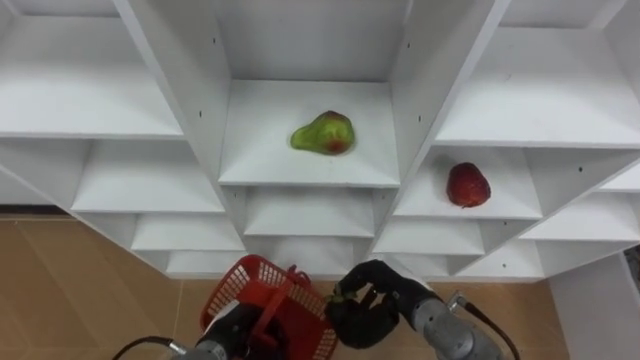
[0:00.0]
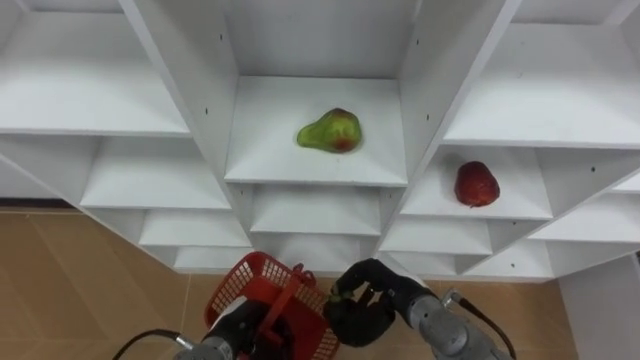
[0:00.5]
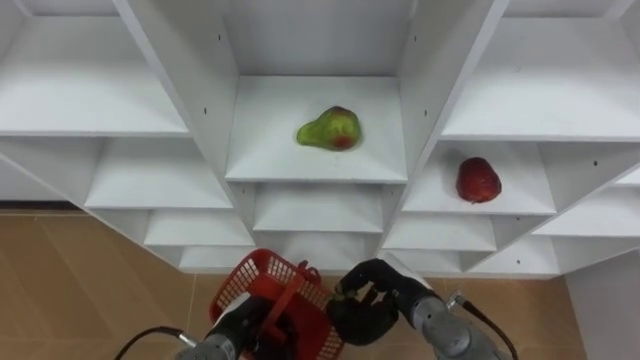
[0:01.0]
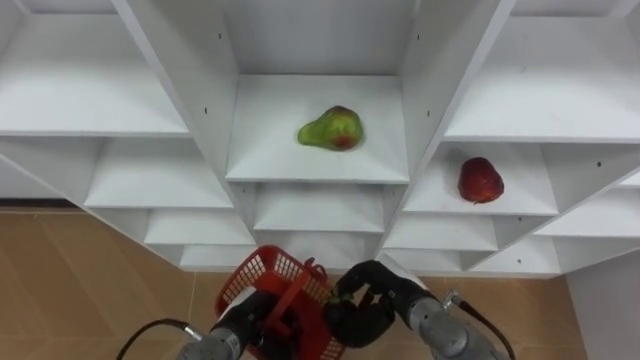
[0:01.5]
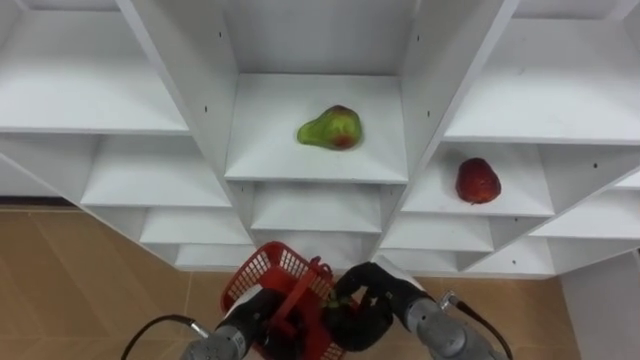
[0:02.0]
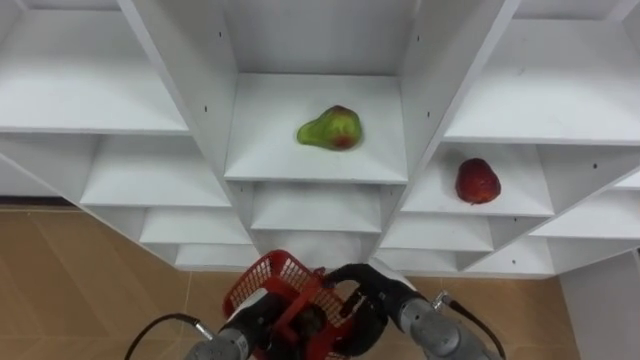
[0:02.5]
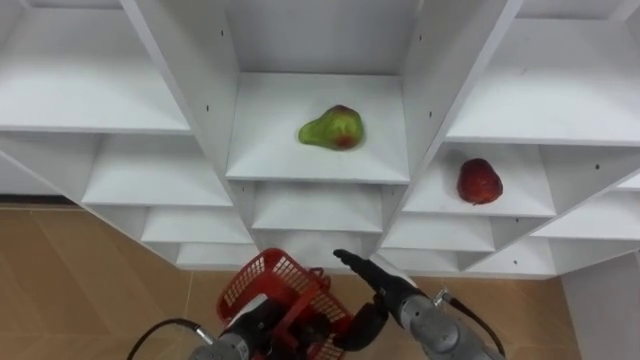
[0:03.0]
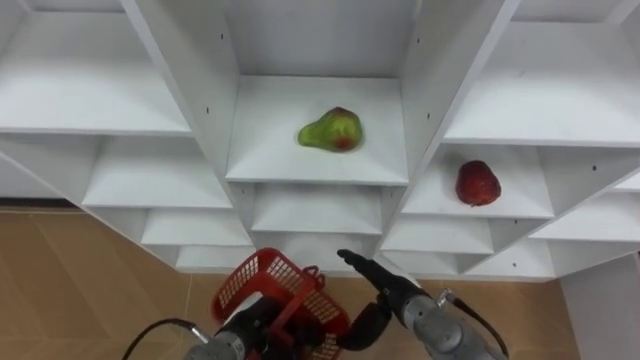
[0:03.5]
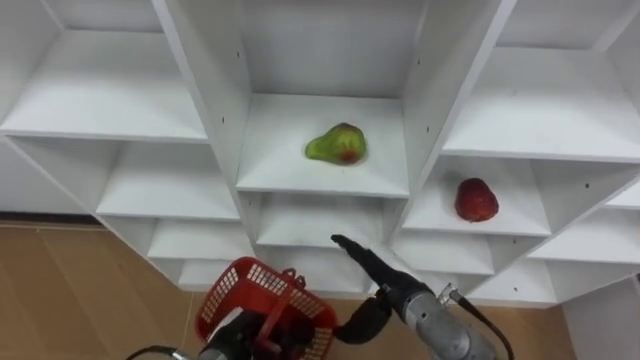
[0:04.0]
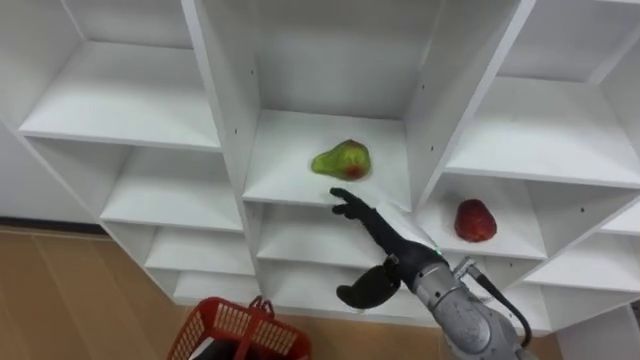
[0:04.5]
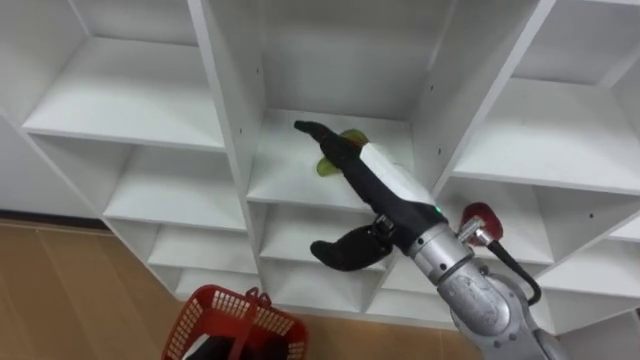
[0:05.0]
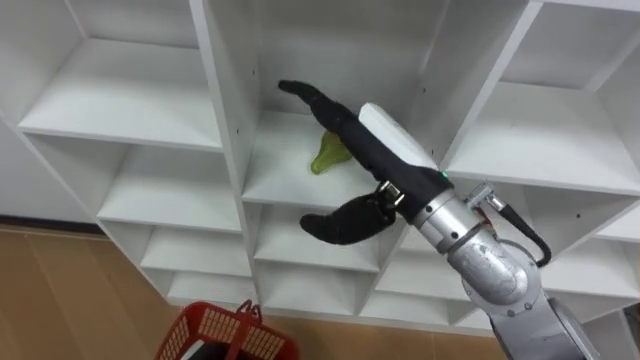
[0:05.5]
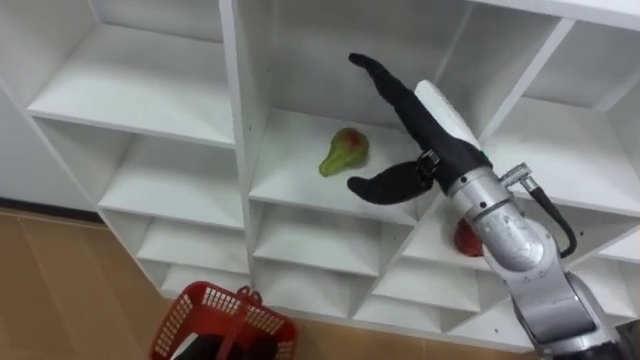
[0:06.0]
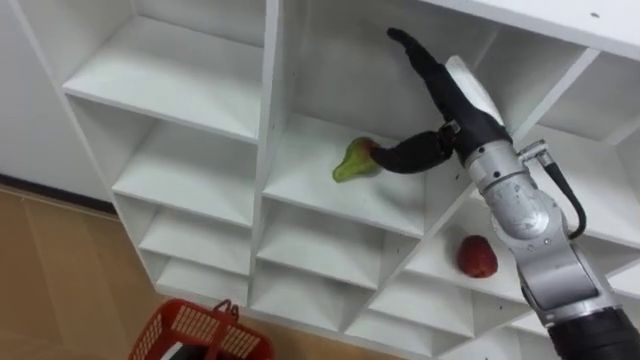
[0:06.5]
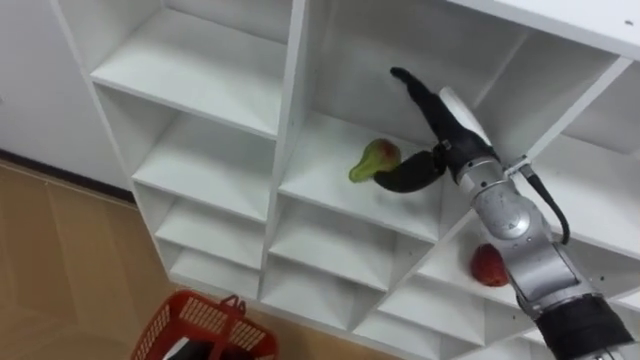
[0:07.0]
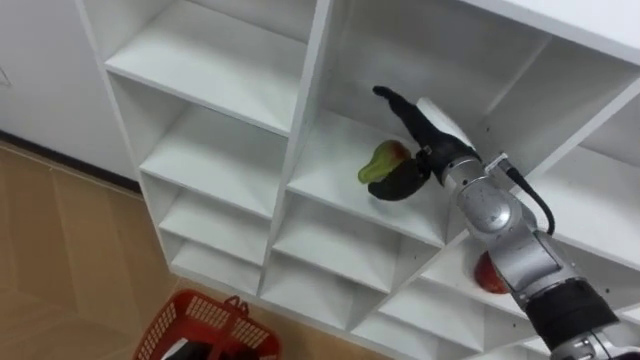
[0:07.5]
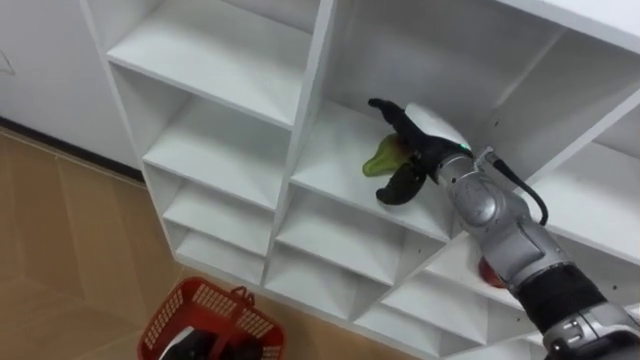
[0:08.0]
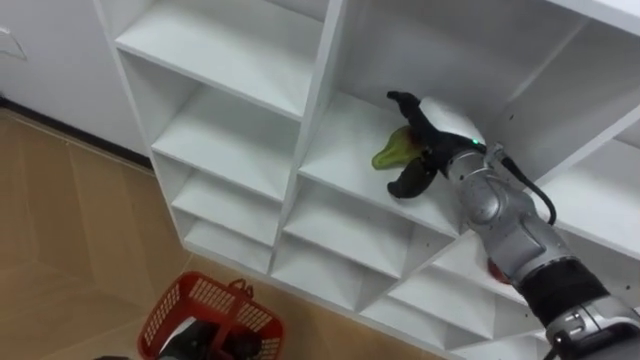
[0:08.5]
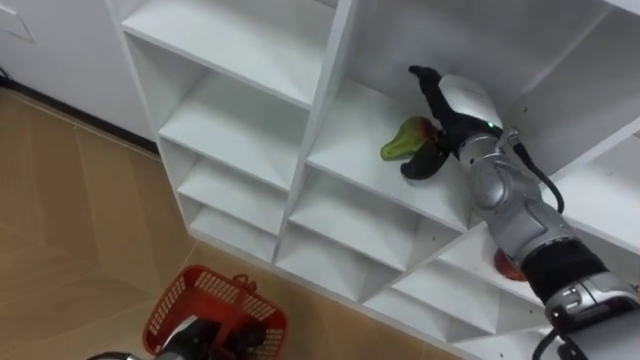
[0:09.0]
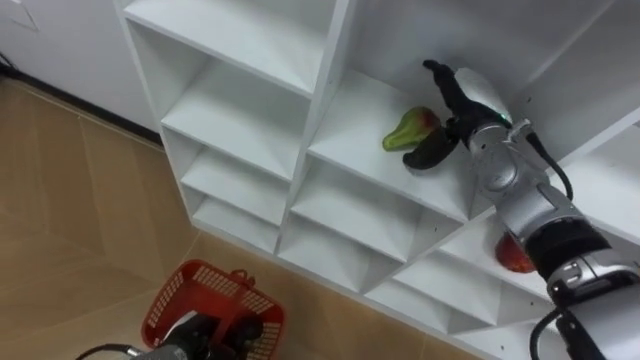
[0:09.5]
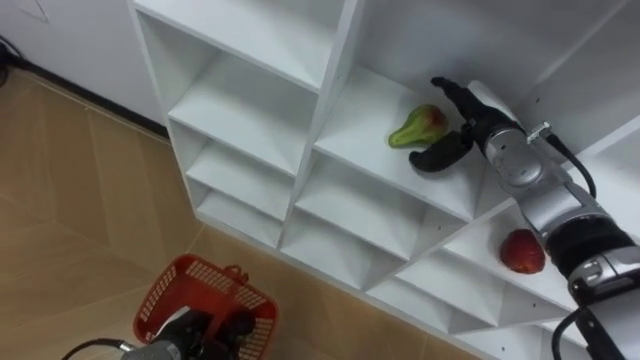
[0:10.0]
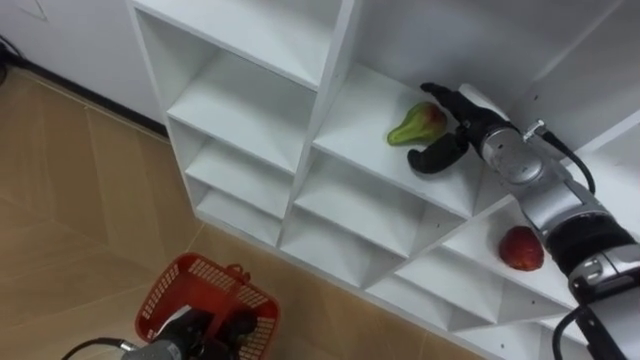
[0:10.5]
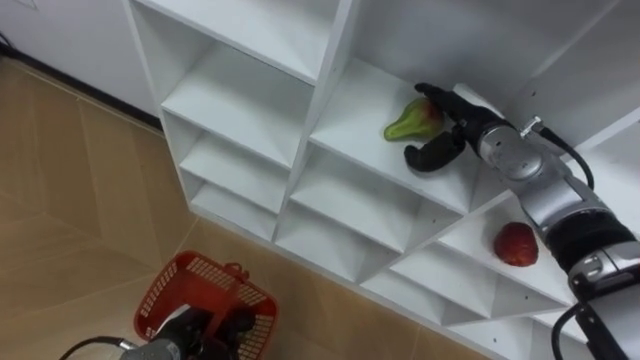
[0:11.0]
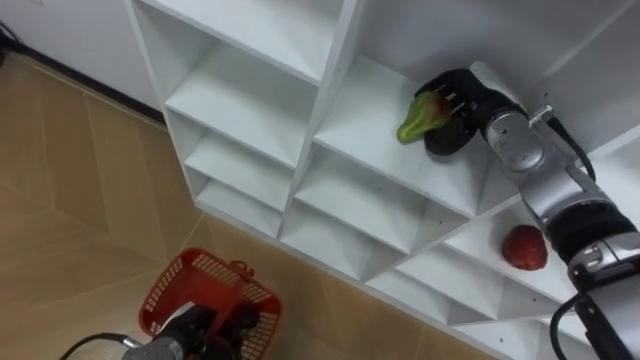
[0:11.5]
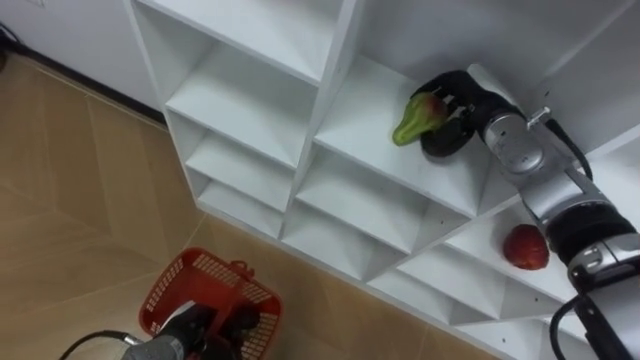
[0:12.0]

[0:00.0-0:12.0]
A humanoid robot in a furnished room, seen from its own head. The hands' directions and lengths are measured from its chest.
Task of the whole recording: Hold the basket and collect the fruits from 3 different cells of the closet into it.
0:00.0 to 0:02.0: The hands move only a little.
0:02.0 to 0:04.0: The right hand opens its fingers.
0:04.0 to 0:06.0: The right hand heads upward, covering some 20 cm.
0:06.0 to 0:08.0: The right hand is displaced downward and forward by some 10 cm.
0:08.0 to 0:10.0: The right hand shifts about 5 cm to the right.
0:10.0 to 0:12.0: The right hand closes its fingers.

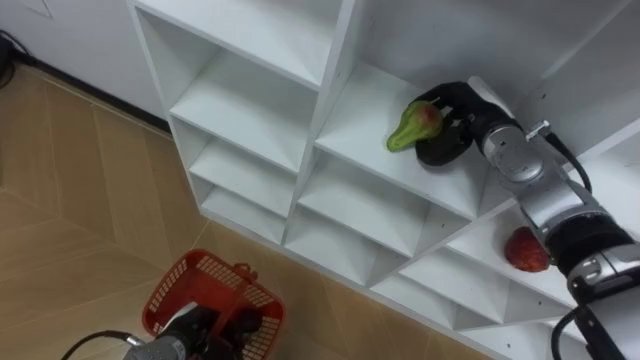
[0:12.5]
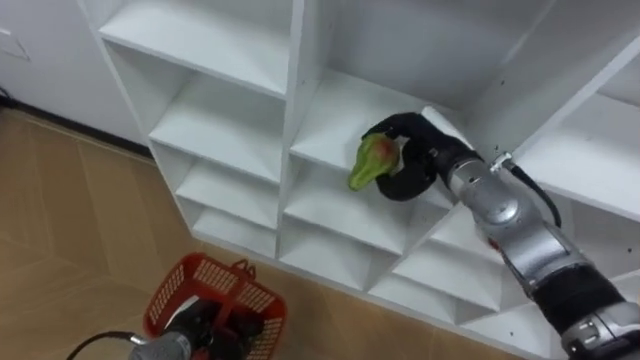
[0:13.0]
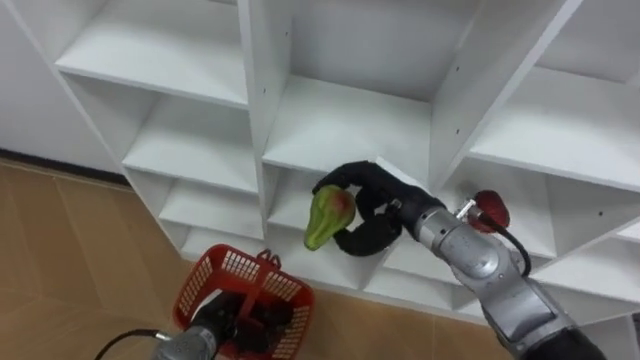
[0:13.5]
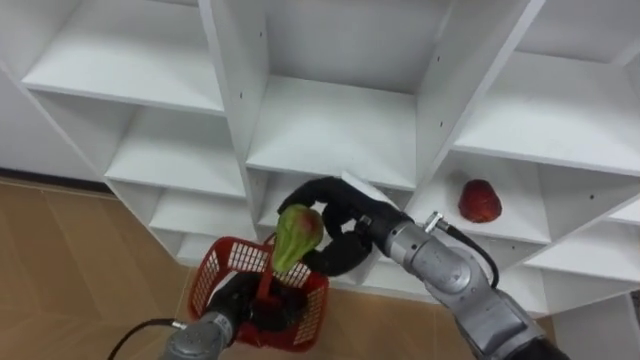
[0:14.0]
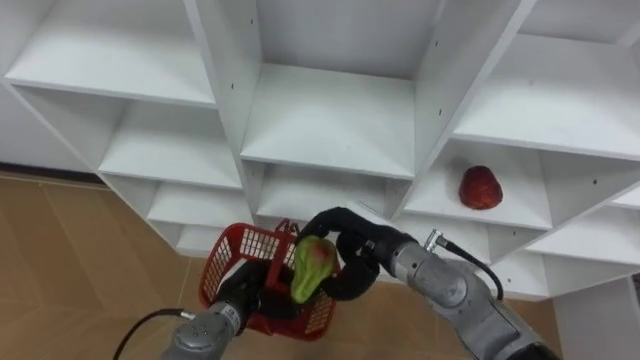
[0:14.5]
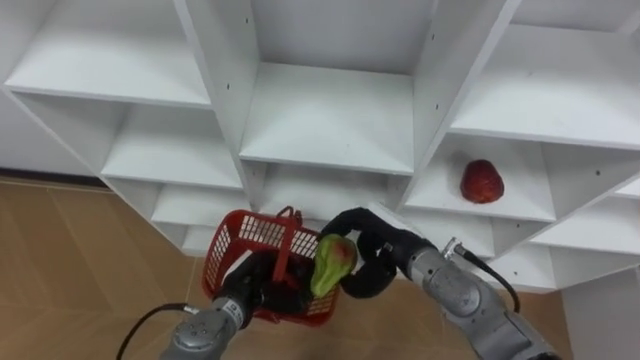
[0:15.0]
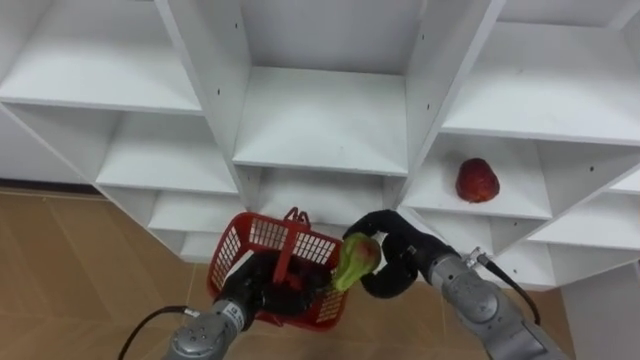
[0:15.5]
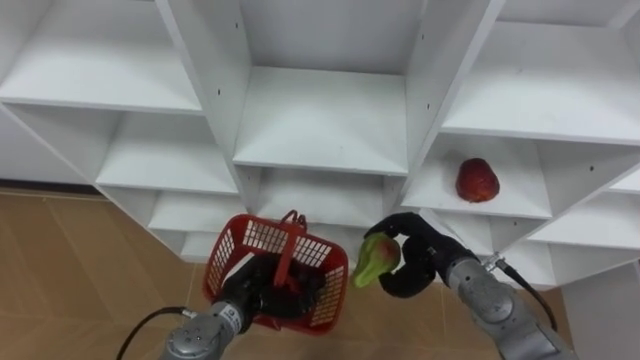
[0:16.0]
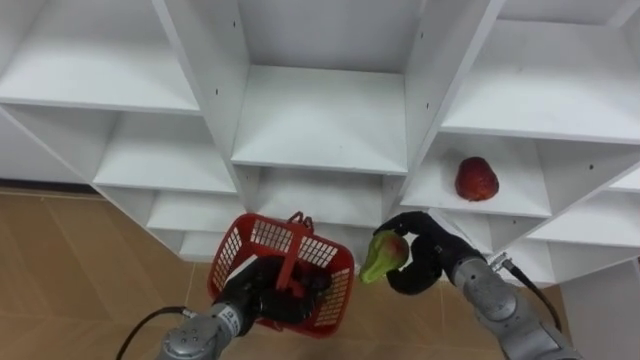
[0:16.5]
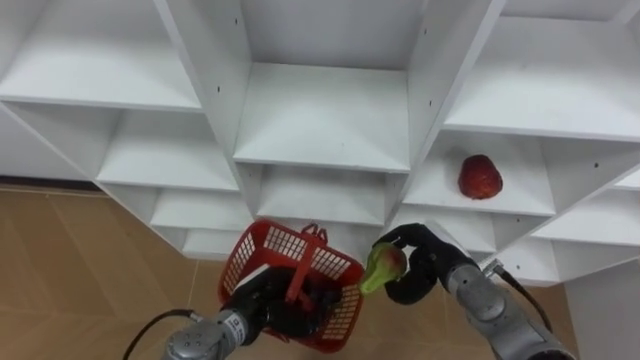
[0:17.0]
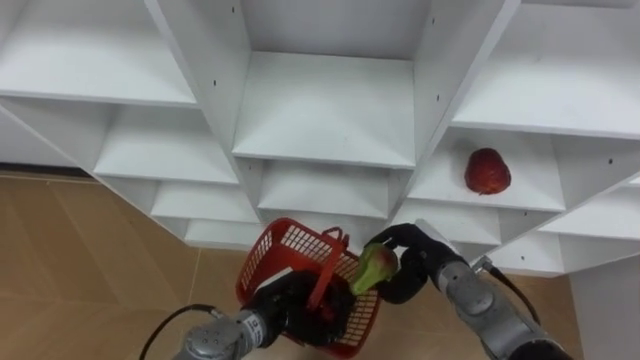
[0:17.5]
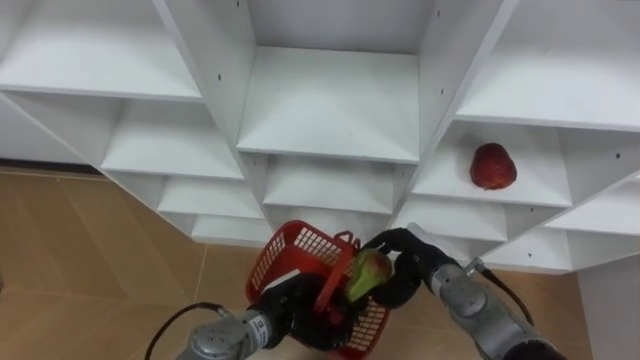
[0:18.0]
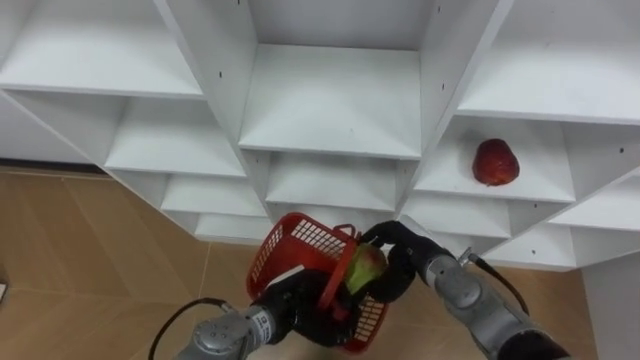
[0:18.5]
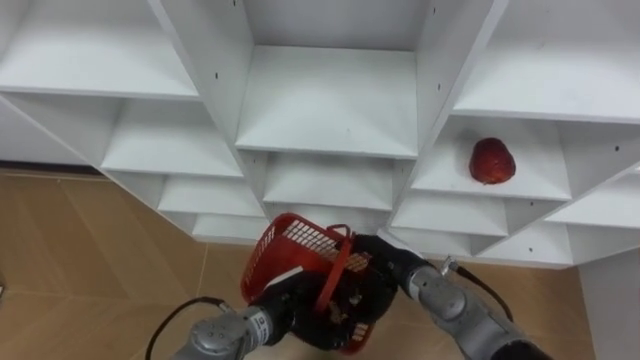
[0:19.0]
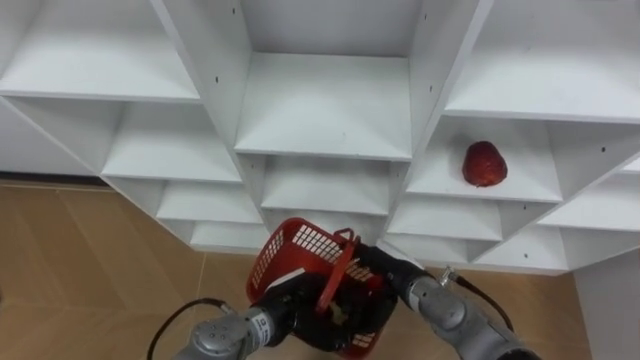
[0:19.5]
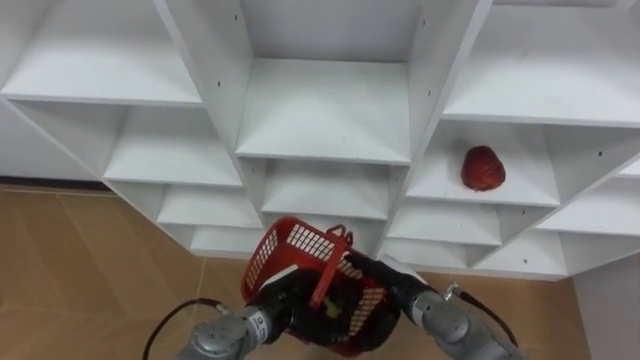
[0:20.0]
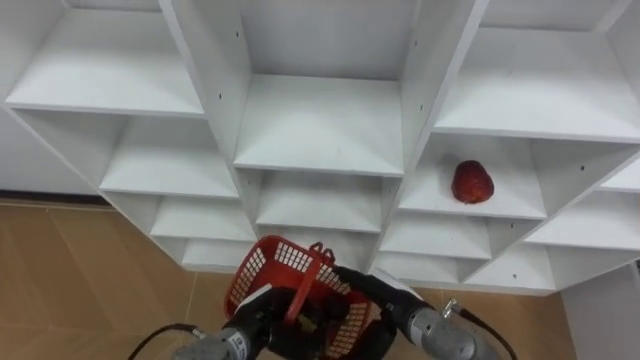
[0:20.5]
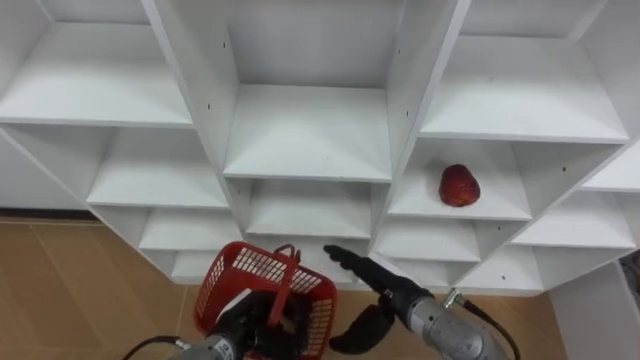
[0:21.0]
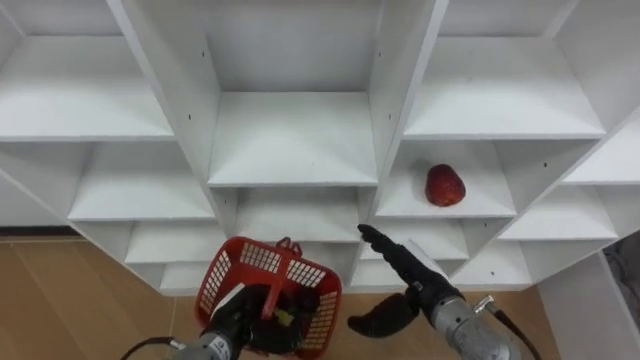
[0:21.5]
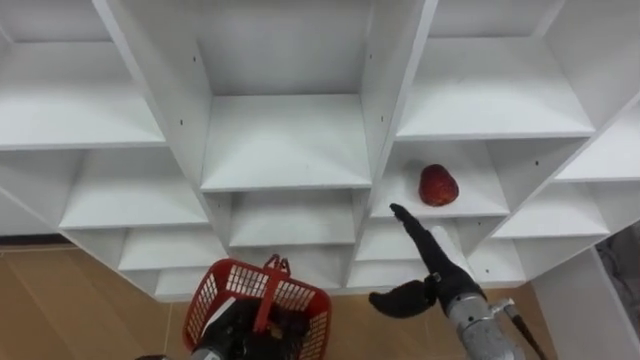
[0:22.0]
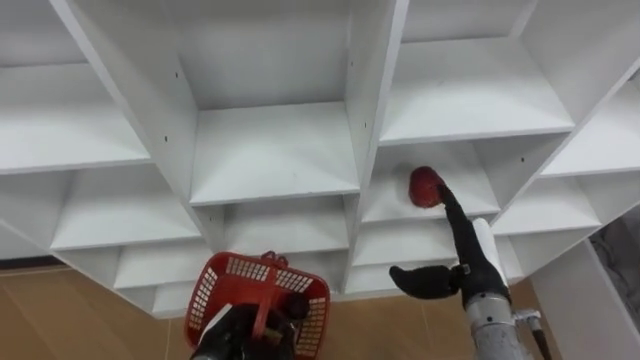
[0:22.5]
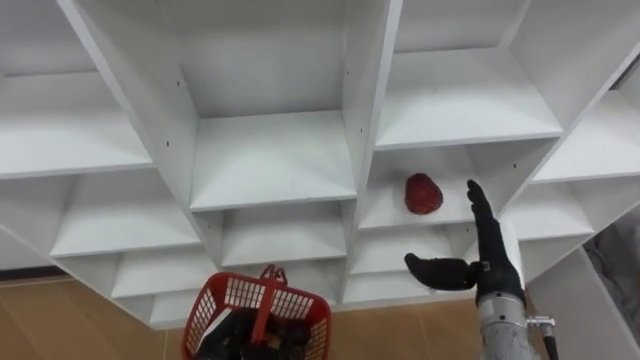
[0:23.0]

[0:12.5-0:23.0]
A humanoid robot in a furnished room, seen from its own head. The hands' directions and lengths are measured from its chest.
Task of the whole recording: Hold the basket and collect the fruits from 3 different cells of the closet into it.
0:12.5 to 0:14.5: The left hand is displaced to the right by approximately 10 cm. Meanwhile the right hand shifts some 20 cm to the left, backward and downward.
0:14.5 to 0:16.5: The right hand travels to the right by approximately 10 cm.
0:16.5 to 0:19.0: The left hand travels to the right by approximately 5 cm. The right hand travels to the left by approximately 5 cm.
0:19.0 to 0:21.0: The left hand heads to the left, covering about 5 cm. Meanwhile the right hand opens.
0:21.0 to 0:23.0: The right hand travels to the right by approximately 15 cm.
